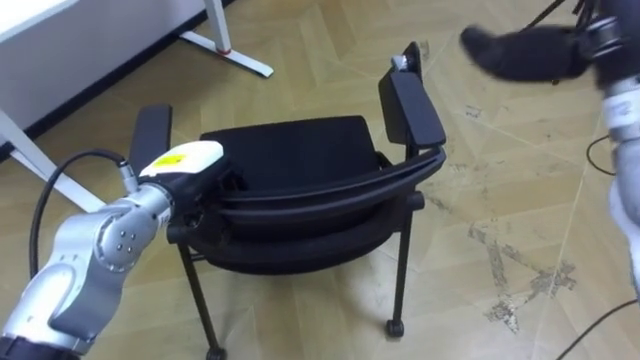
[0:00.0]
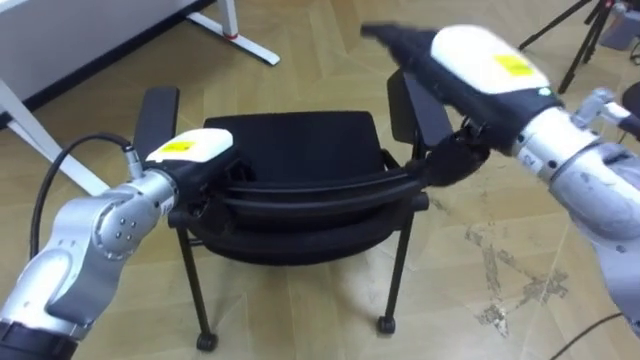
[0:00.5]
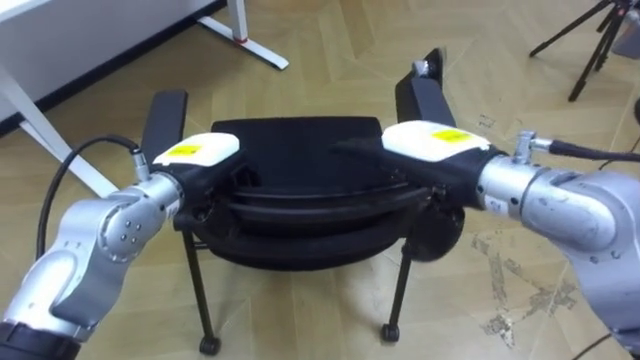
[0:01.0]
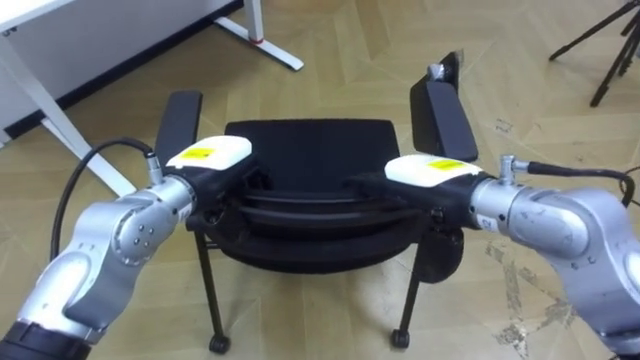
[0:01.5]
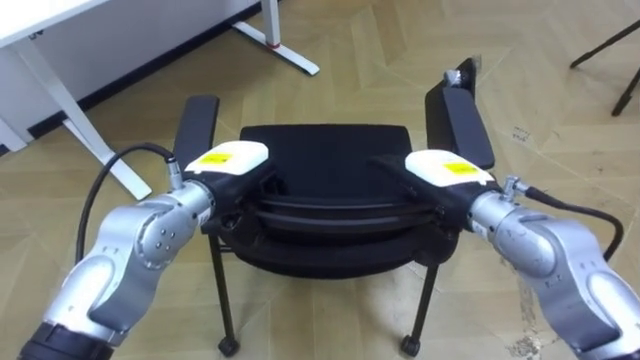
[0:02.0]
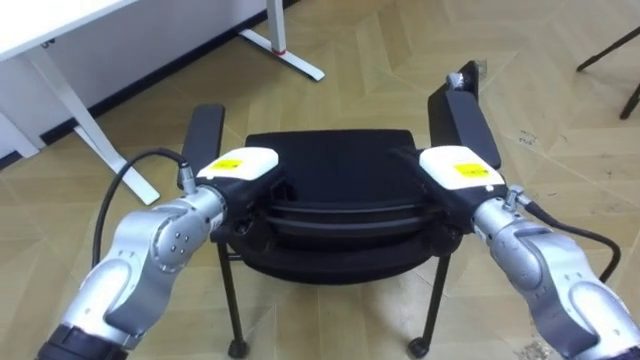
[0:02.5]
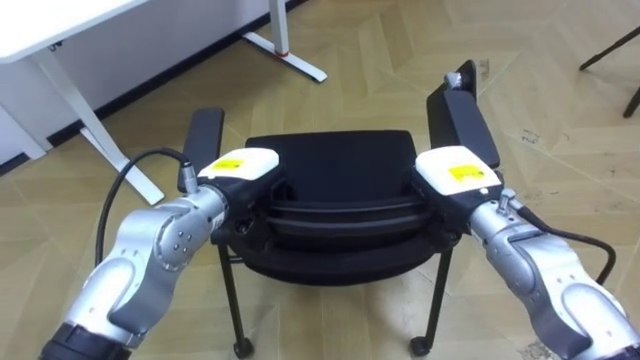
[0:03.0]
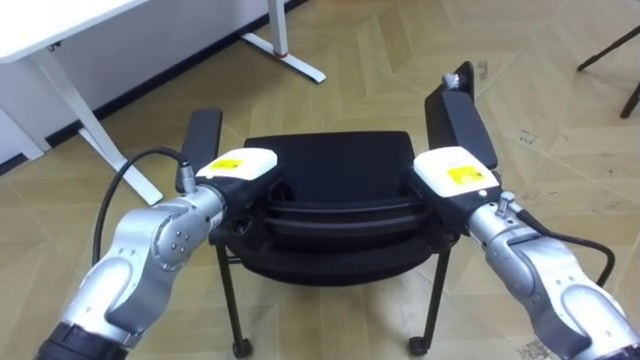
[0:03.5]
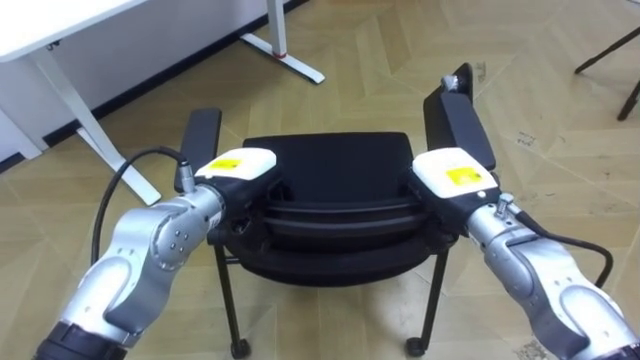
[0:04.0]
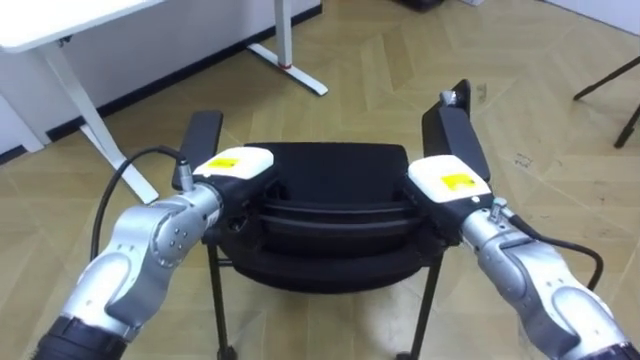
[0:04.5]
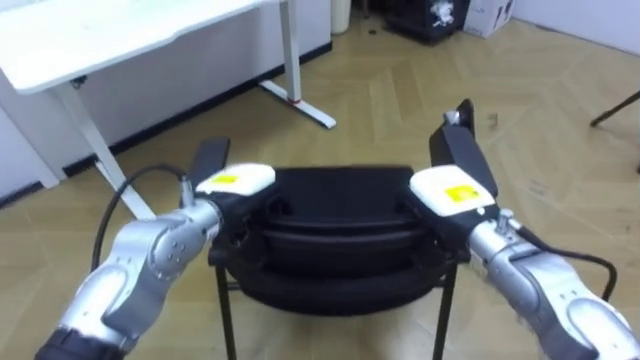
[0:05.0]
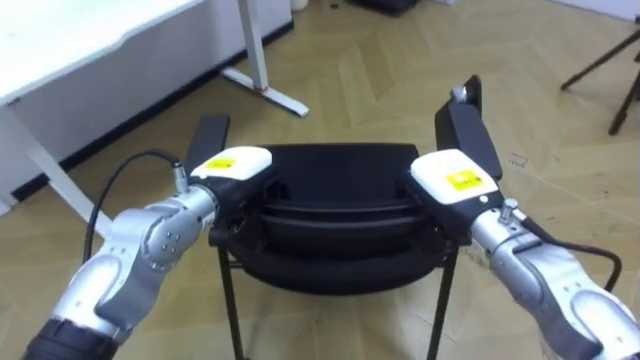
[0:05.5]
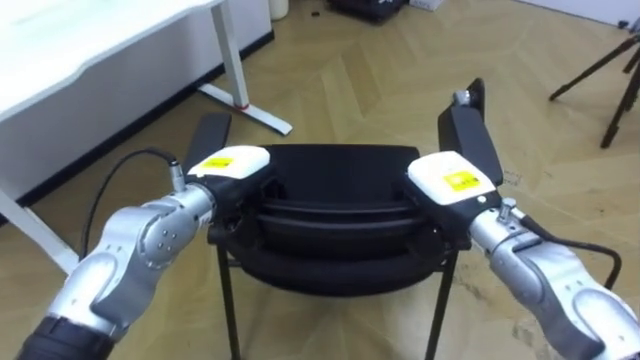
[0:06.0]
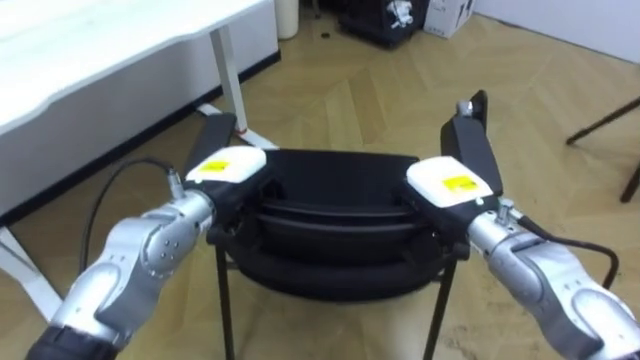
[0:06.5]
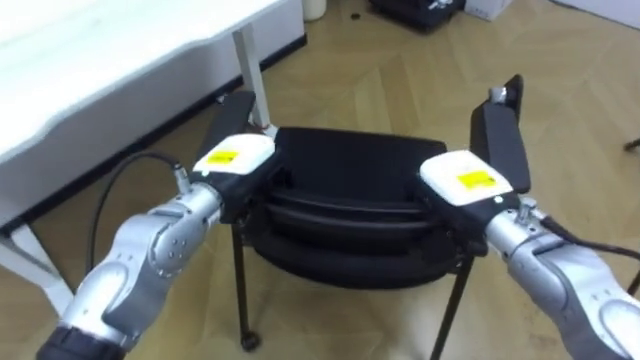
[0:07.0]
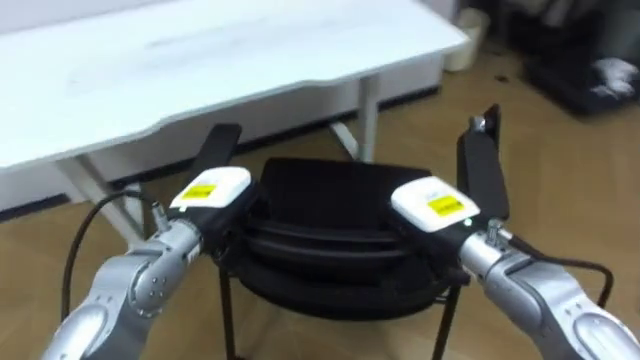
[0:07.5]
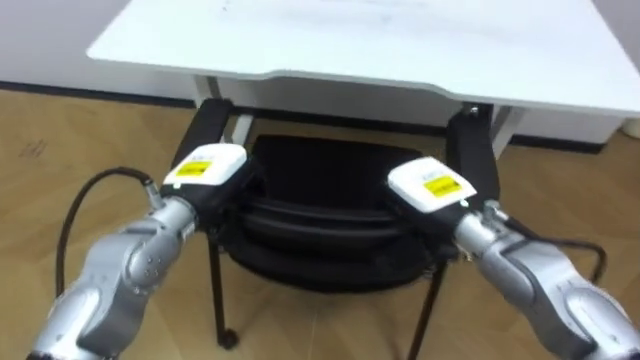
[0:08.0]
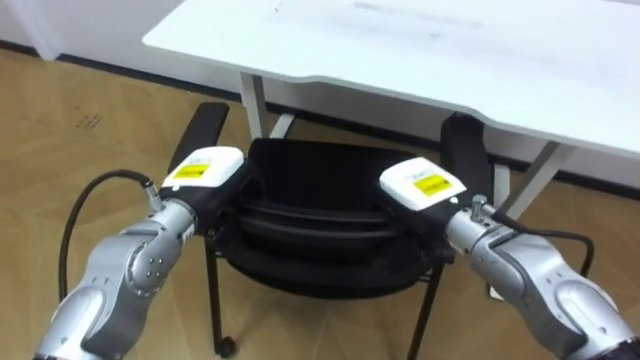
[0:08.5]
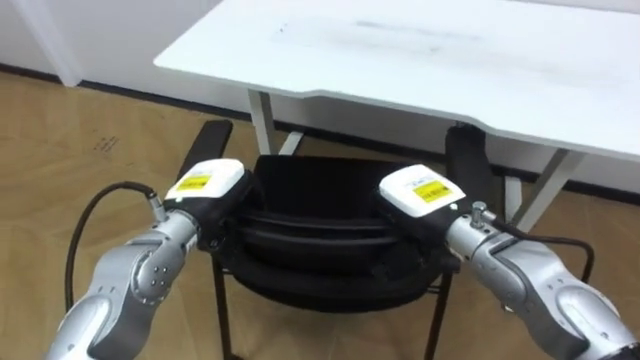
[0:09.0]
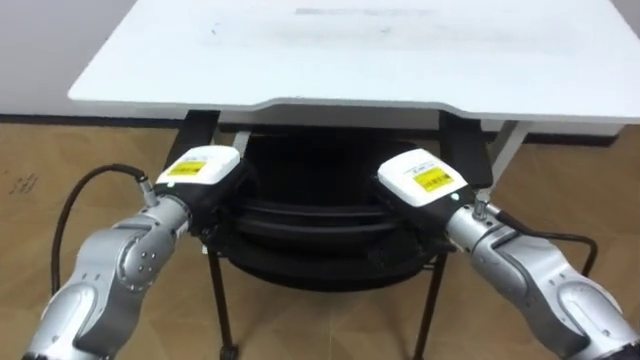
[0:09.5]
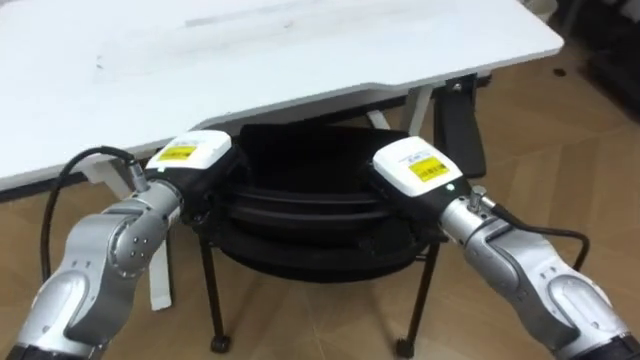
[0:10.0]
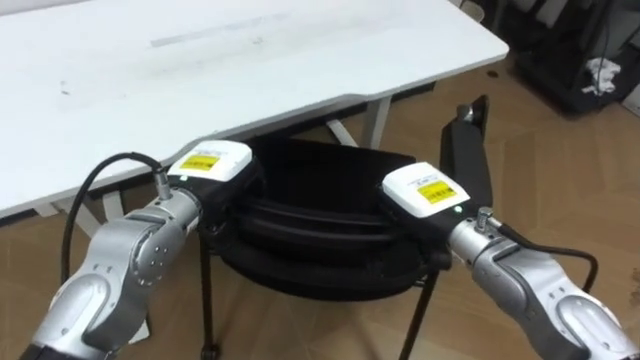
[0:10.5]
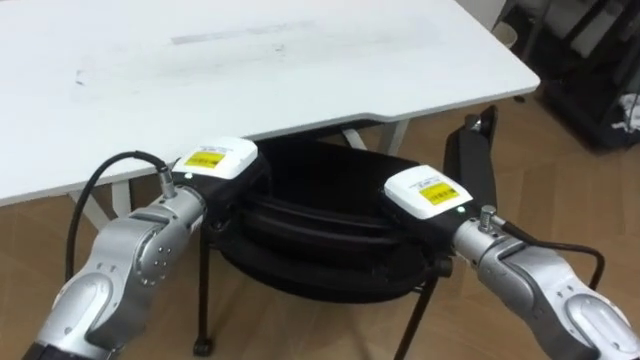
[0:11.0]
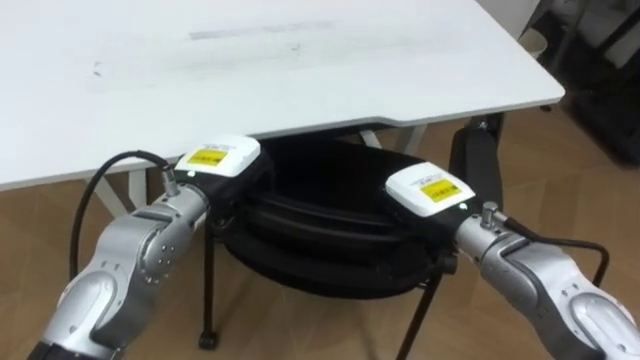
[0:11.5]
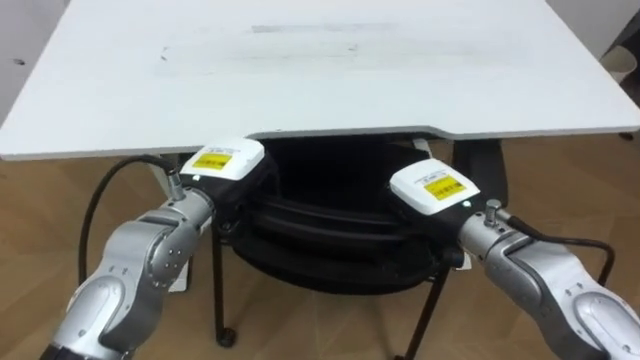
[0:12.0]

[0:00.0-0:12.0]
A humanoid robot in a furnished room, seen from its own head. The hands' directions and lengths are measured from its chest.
Task of the whole recording: Push the chair under the table.
0:00.0 to 0:02.0: The left hand shifts approximately 5 cm to the right. Meanwhile the right hand goes approximately 25 cm downward.
0:02.0 to 0:04.0: The right hand closes its fingers.
0:06.0 to 0:08.0: The robot rotates roughly 50 degrees to its left.

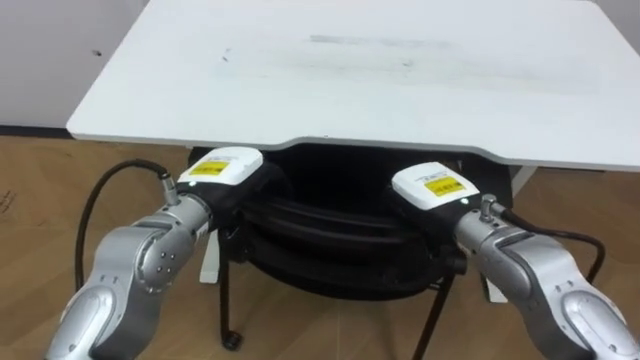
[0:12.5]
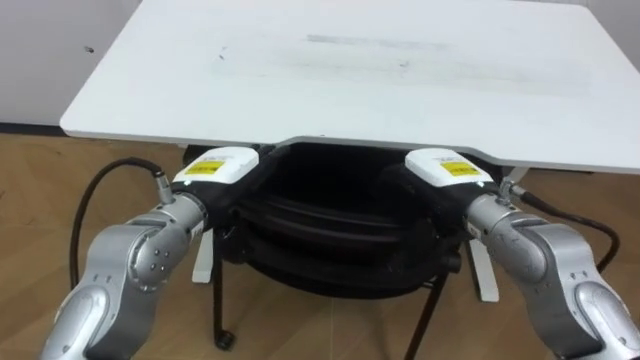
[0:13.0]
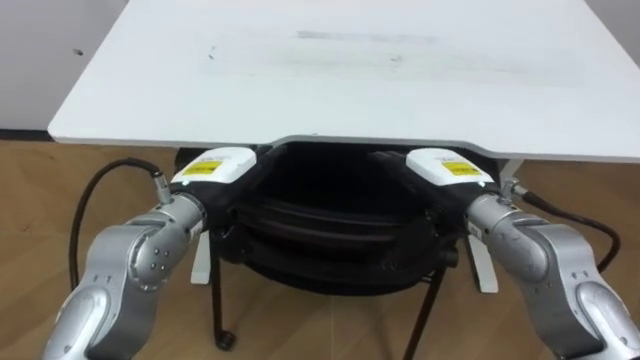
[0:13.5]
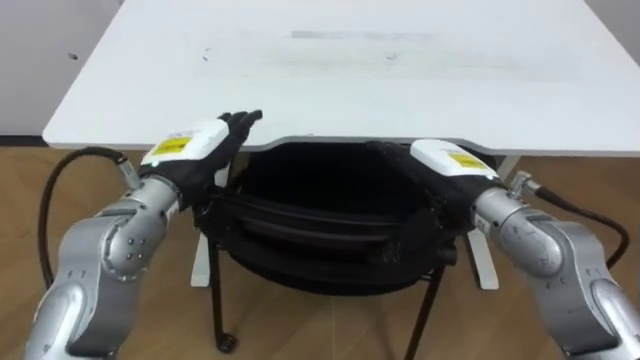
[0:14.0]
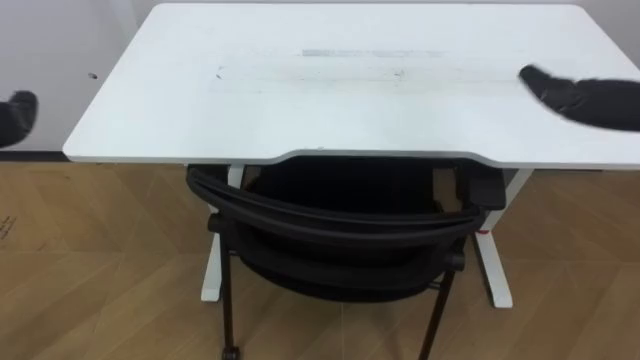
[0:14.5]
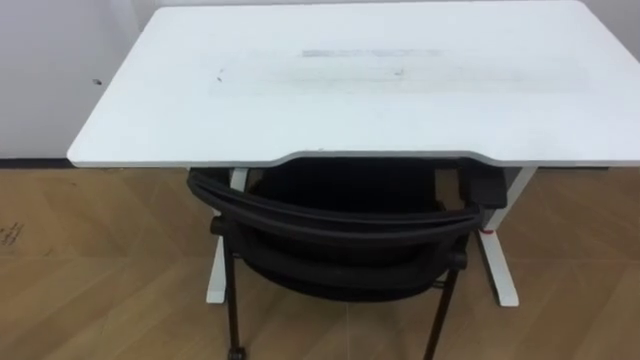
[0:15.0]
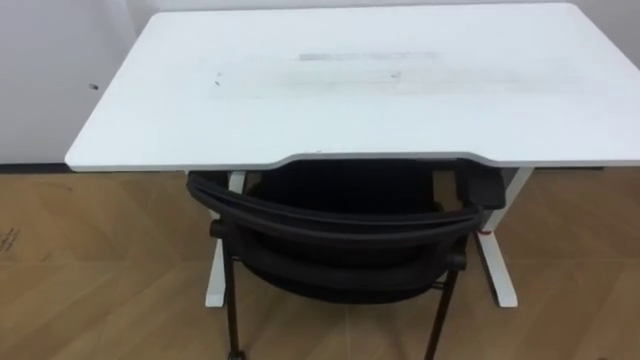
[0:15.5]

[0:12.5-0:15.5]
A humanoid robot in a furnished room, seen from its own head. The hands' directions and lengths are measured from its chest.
Task of the whole recording: Push the chair under the table.
0:12.5 to 0:14.0: The right hand opens its fingers.

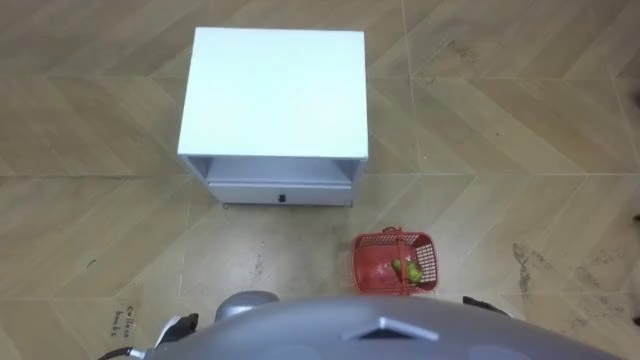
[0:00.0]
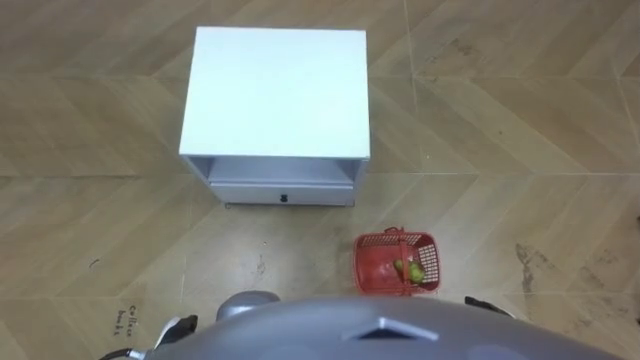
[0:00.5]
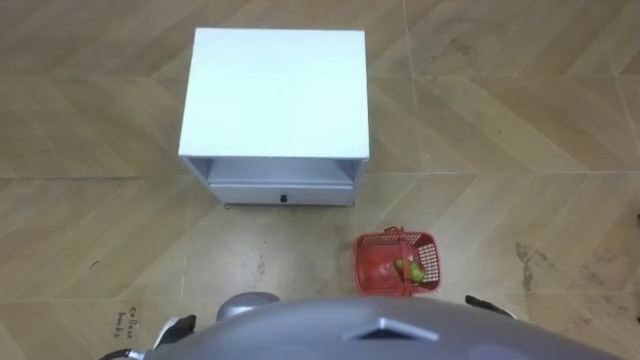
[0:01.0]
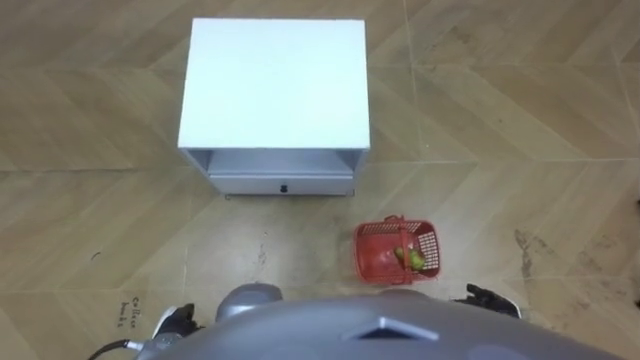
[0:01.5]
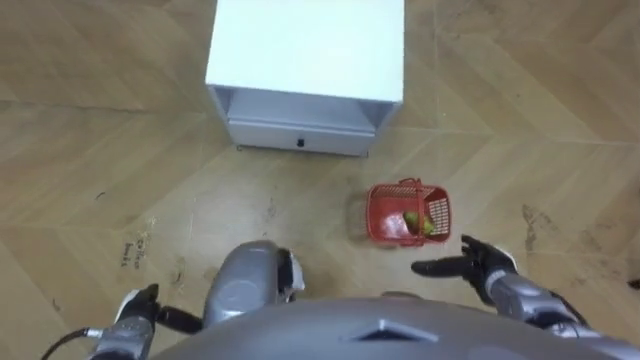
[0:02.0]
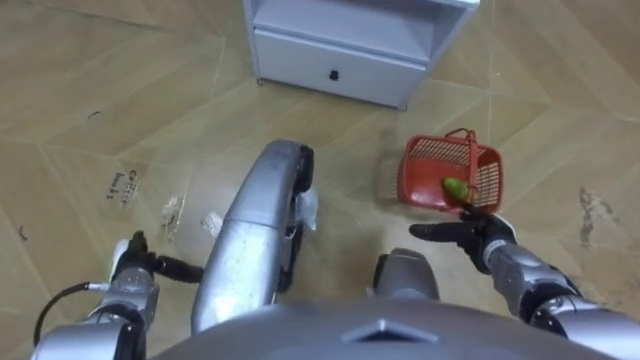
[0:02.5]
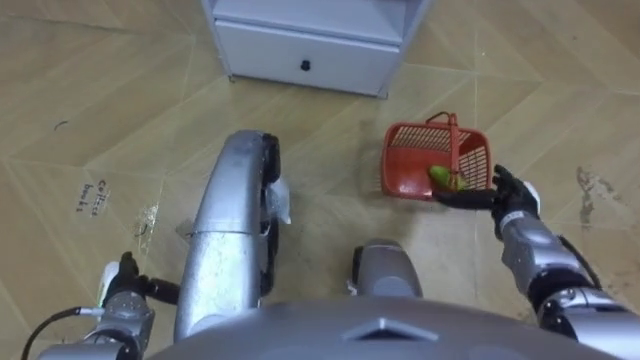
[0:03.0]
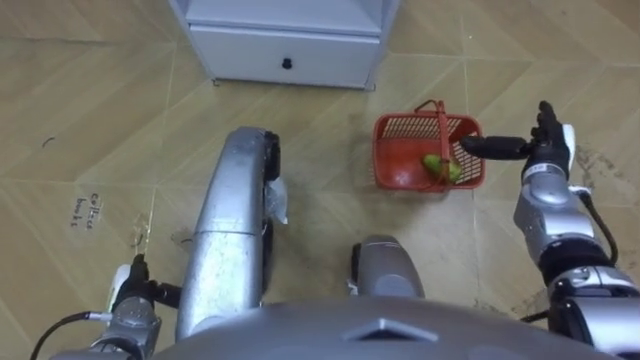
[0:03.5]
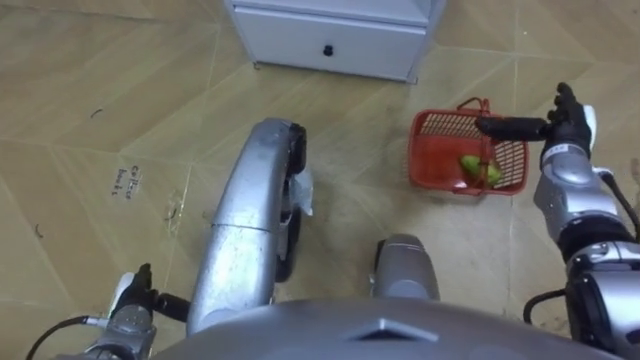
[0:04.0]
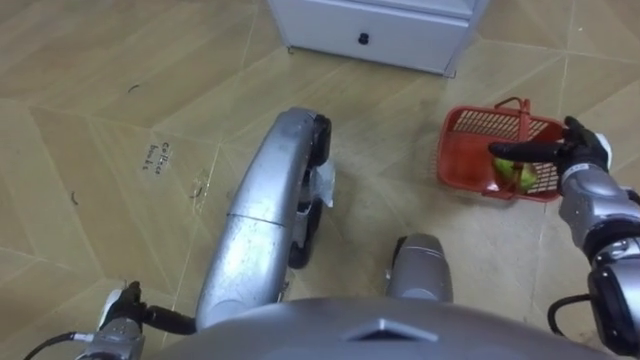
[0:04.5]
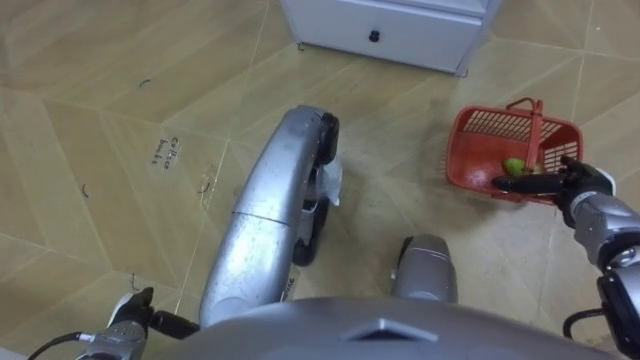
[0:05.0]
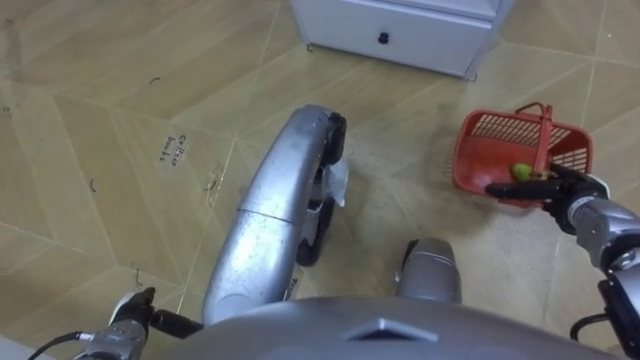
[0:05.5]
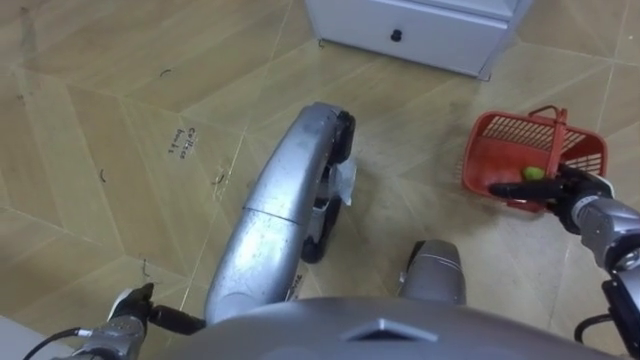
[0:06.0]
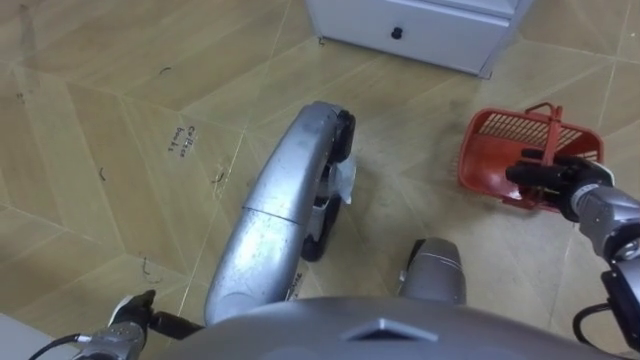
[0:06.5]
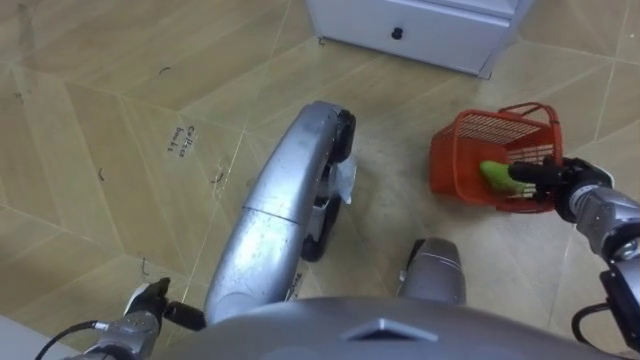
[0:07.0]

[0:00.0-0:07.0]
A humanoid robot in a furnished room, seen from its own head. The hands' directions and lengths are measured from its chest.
Task of the whole recording: Pick up the fruit basket from the floor and place it on the cabinet.
0:02.0 to 0:03.5: The right hand heads forward and upward, covering some 20 cm.
0:03.5 to 0:05.0: The right hand moves to the right, about 5 cm.
0:05.0 to 0:07.0: The right hand closes.
